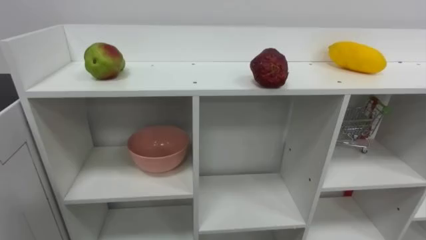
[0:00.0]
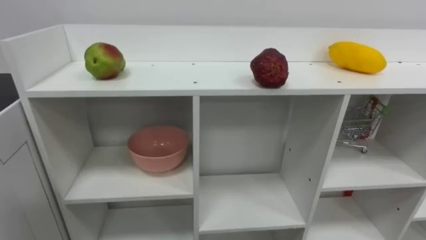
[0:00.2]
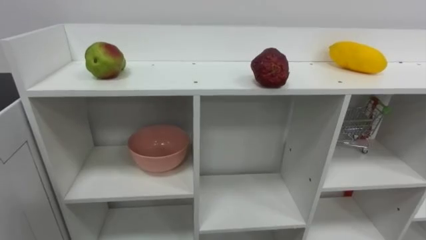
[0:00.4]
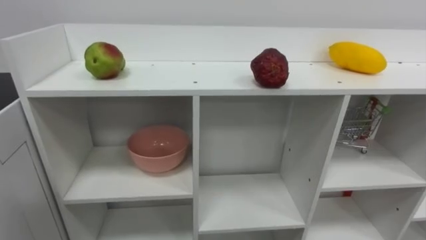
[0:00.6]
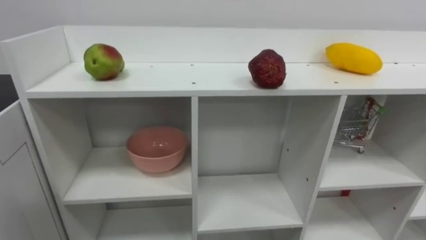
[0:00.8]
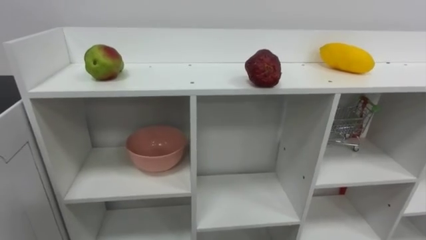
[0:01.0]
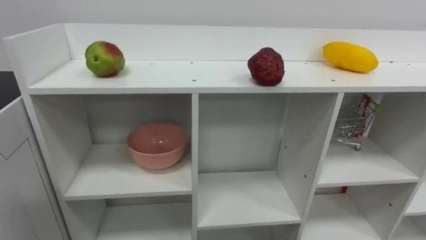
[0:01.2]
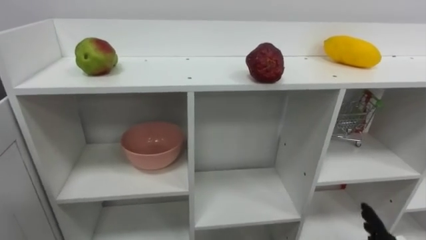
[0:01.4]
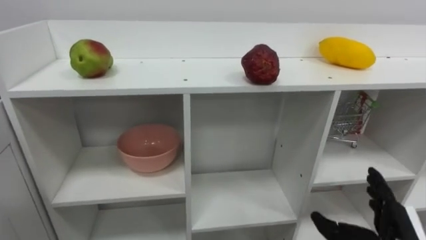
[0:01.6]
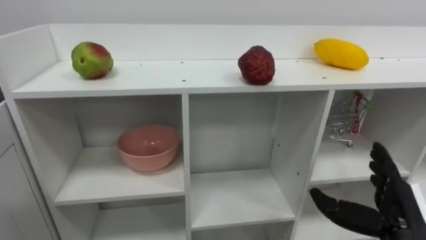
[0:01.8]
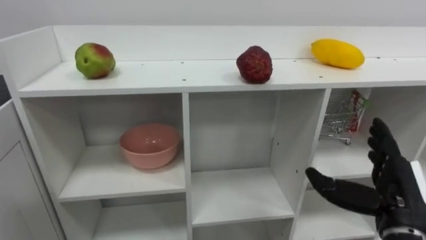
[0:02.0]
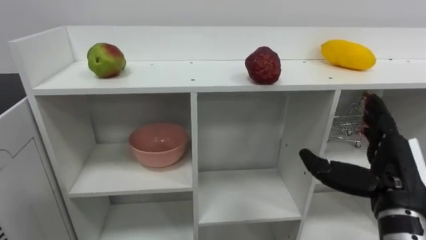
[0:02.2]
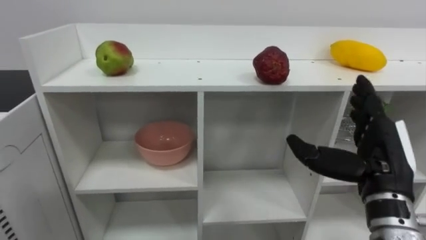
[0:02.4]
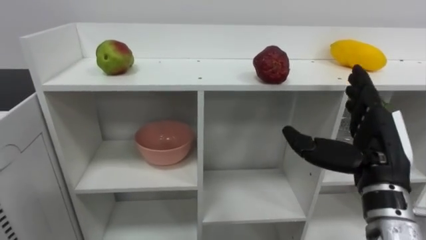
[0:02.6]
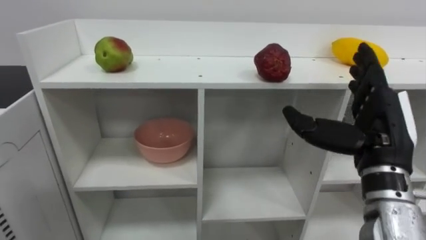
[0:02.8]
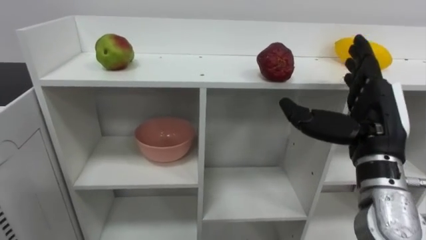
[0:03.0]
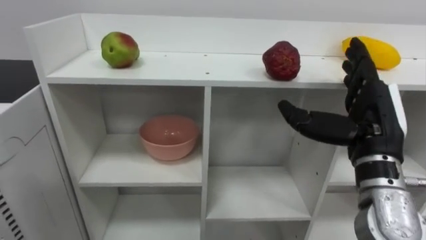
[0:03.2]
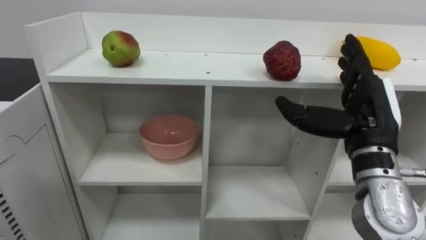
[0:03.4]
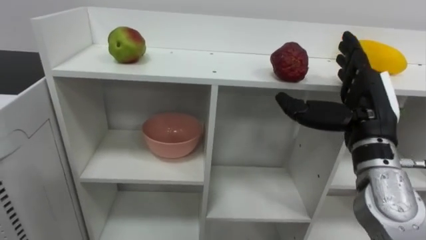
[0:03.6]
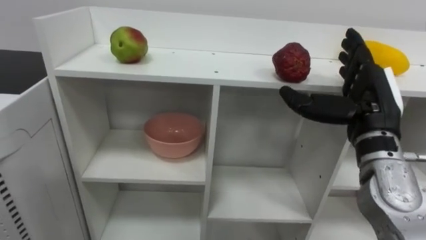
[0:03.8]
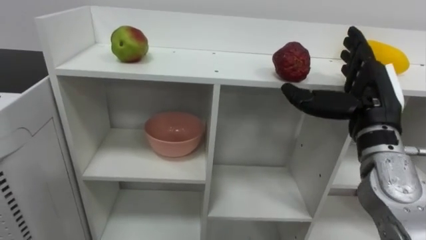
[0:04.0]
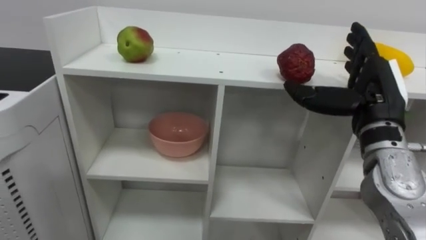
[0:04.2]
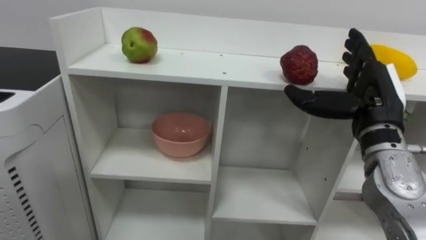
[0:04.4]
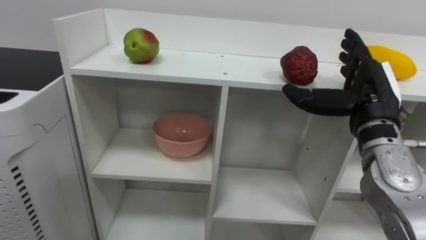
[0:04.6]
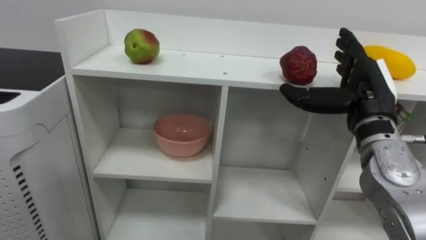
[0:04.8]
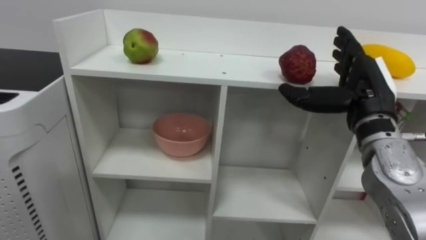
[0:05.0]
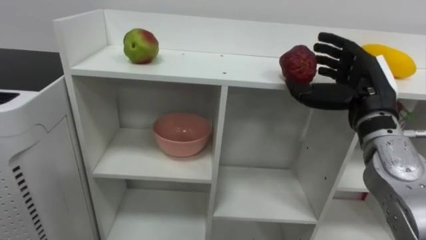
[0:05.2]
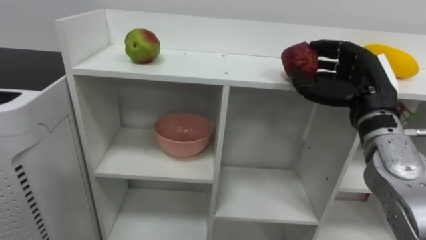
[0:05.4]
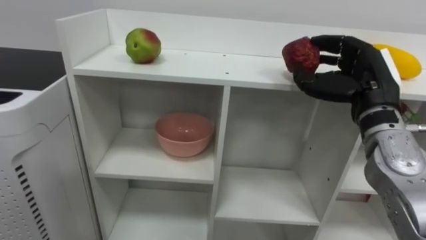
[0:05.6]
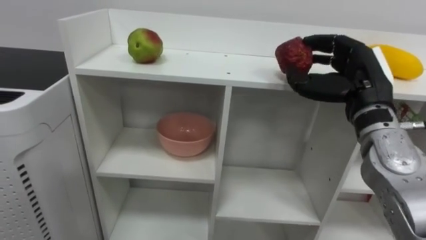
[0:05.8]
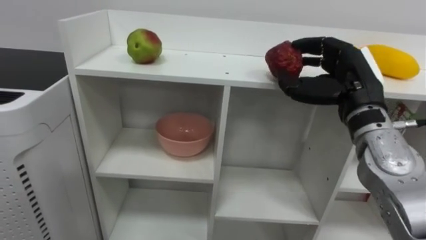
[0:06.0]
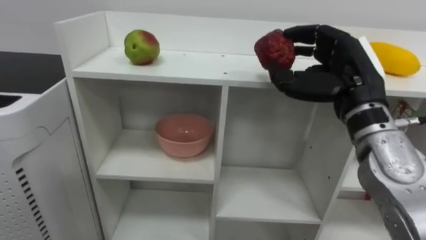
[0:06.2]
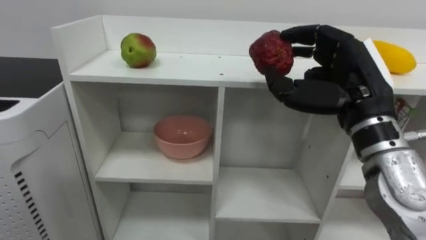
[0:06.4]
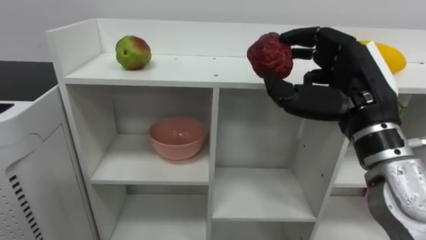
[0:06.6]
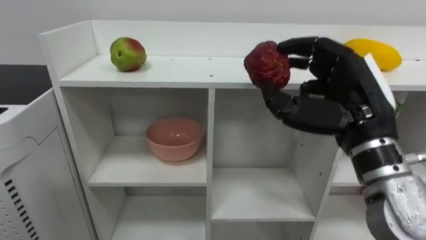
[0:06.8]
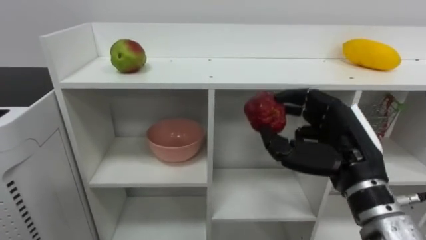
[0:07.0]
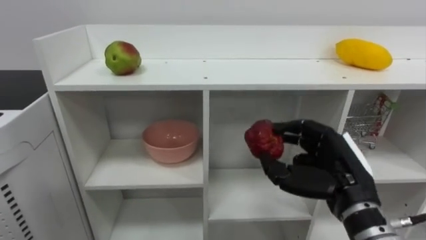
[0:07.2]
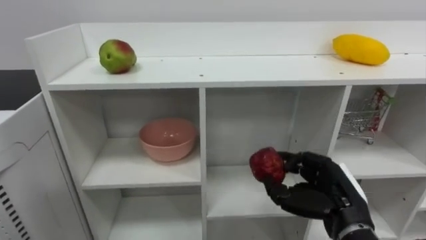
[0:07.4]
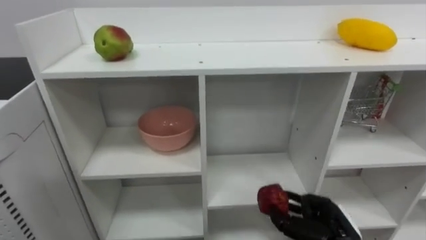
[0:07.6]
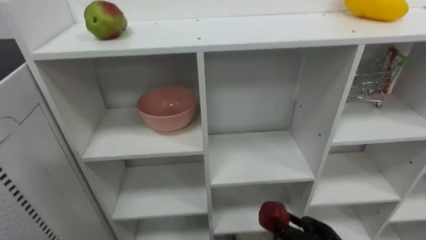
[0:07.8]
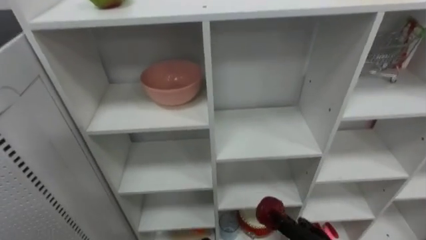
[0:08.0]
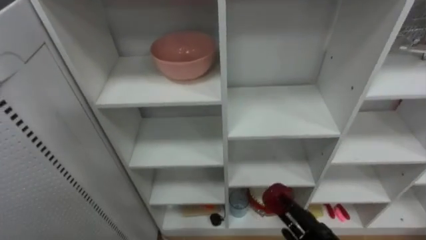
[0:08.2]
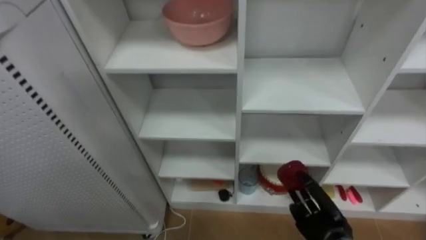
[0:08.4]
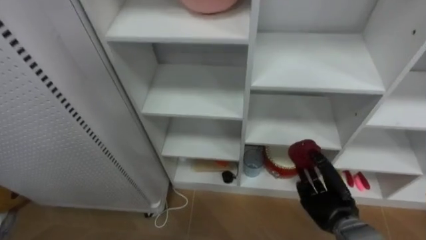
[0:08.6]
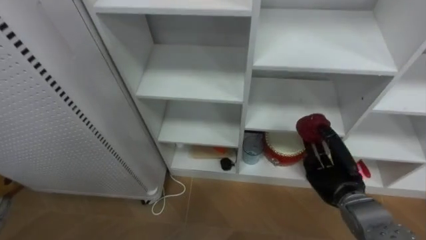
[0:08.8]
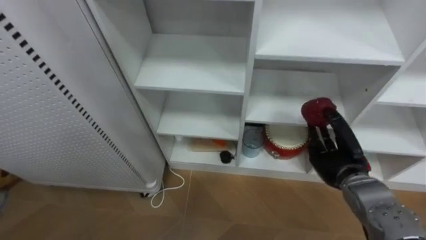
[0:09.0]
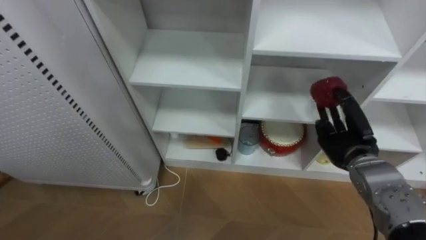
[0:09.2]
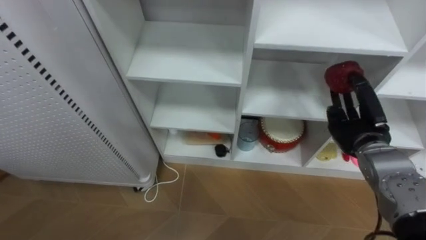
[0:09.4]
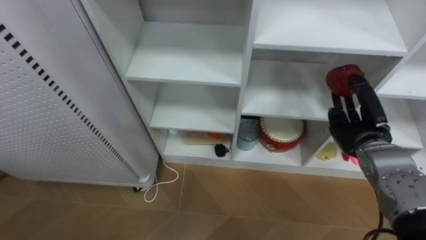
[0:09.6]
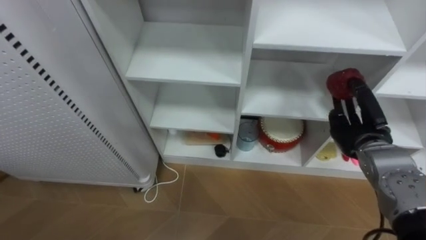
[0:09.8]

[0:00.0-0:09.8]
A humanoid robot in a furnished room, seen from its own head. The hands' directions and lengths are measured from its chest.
Task of the whole recording: Put the apple in the cell in the second column from the left and the second row from the top.
0:02.8 to 0:04.2: The right hand shifts by roughly 5 cm.
0:04.2 to 0:05.6: The right hand closes up.
0:05.6 to 0:07.0: The right hand goes about 10 cm backward and downward.
0:08.4 to 0:09.8: The right hand goes some 20 cm upward and forward.

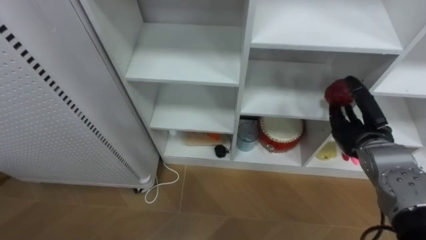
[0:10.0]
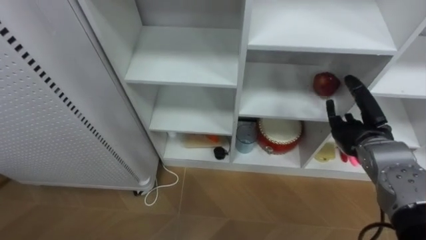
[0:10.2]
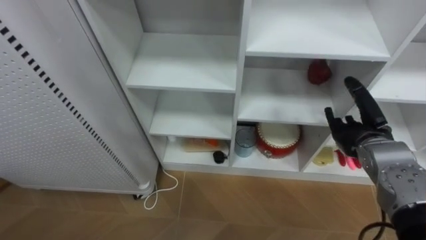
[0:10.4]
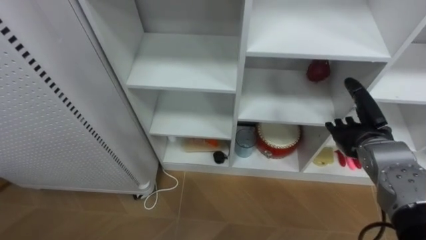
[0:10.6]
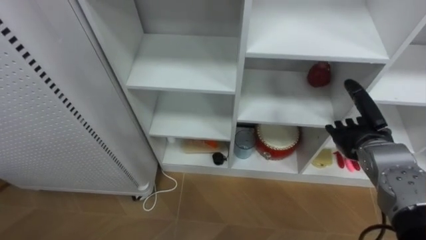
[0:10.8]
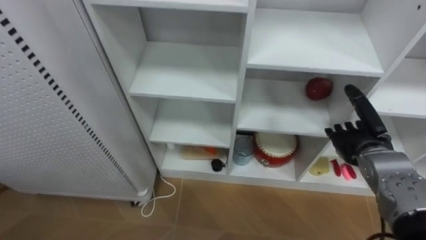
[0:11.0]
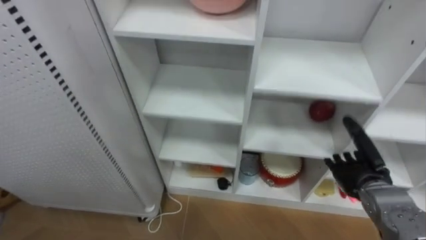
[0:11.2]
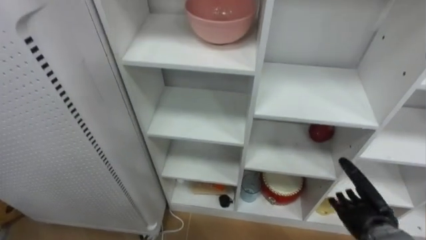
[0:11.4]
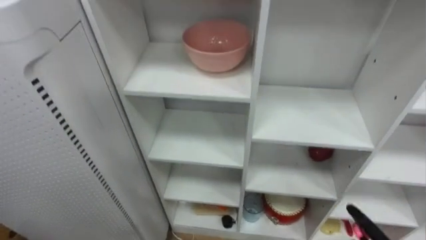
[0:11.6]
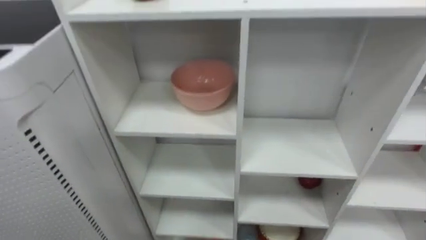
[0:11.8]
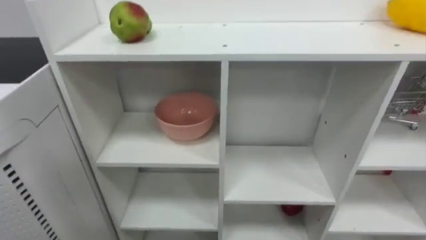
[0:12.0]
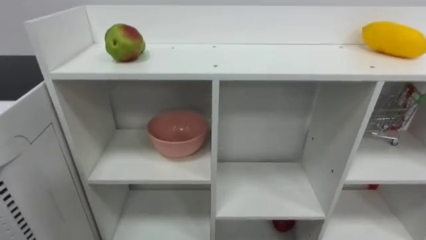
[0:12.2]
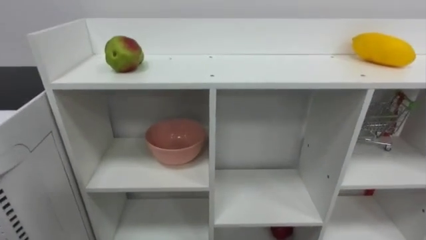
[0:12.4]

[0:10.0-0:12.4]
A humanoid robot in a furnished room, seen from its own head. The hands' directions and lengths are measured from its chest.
Task of the whole recording: Put the apple in the cell in the second column from the left and the second row from the top.
0:10.0 to 0:11.2: The right hand shifts about 5 cm downward, and opens.

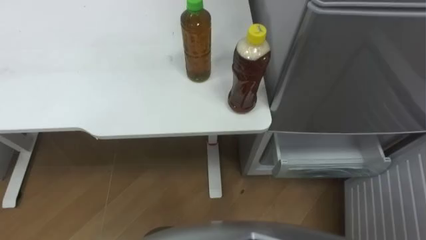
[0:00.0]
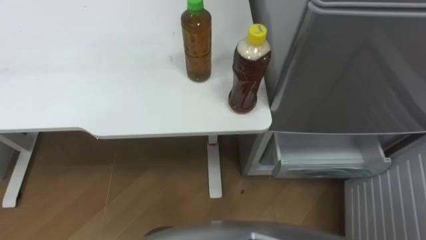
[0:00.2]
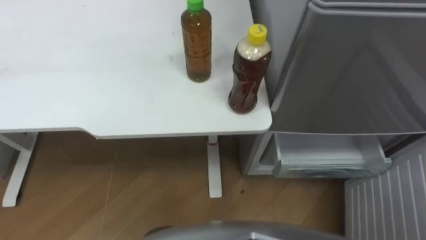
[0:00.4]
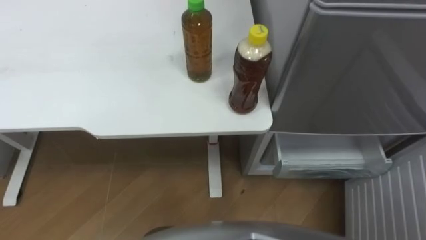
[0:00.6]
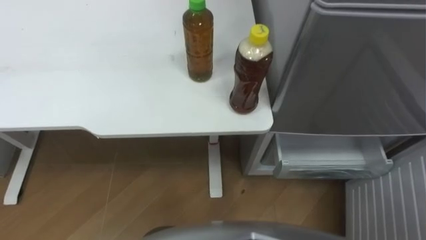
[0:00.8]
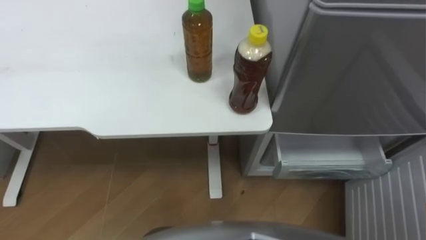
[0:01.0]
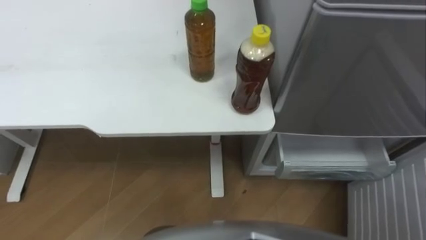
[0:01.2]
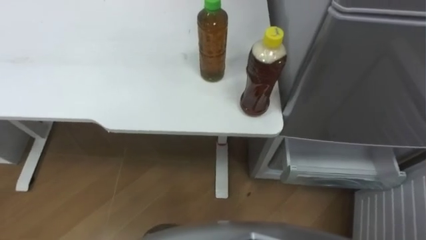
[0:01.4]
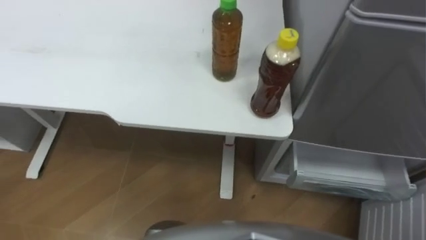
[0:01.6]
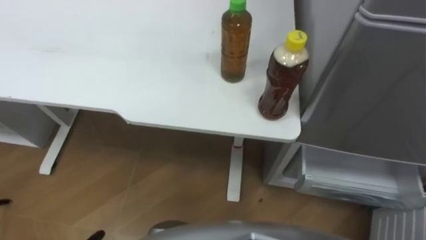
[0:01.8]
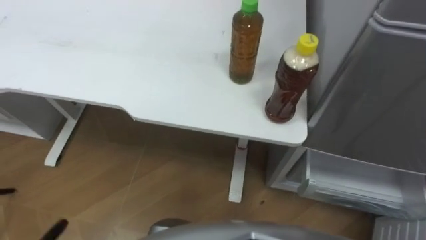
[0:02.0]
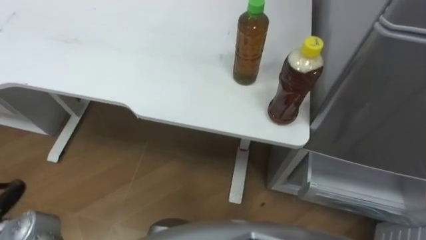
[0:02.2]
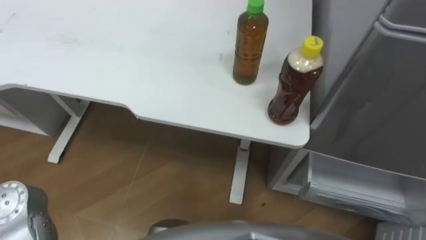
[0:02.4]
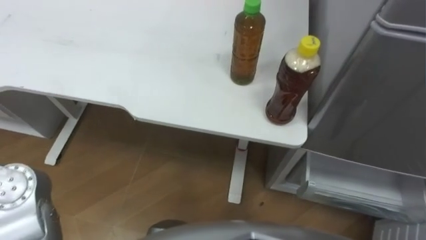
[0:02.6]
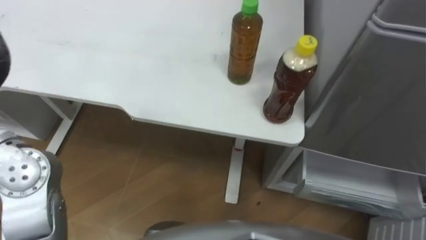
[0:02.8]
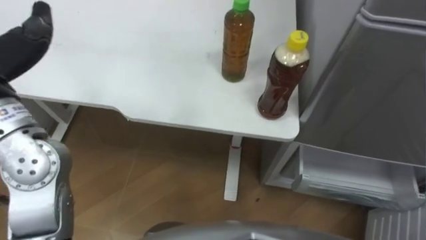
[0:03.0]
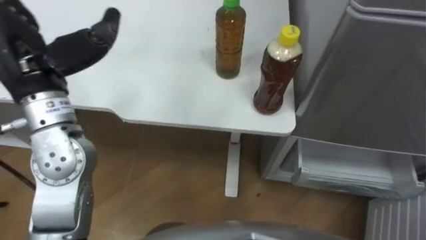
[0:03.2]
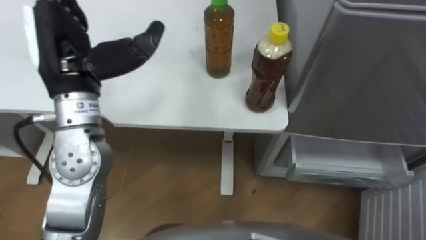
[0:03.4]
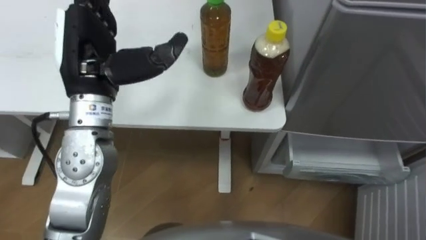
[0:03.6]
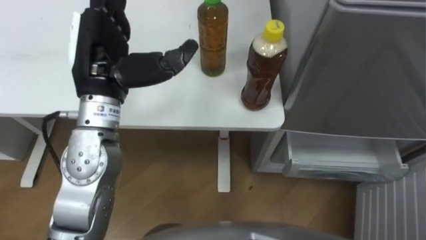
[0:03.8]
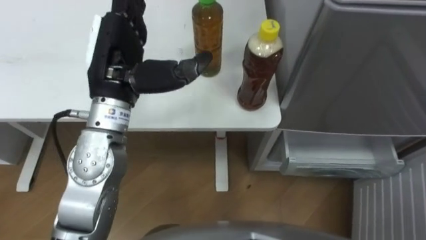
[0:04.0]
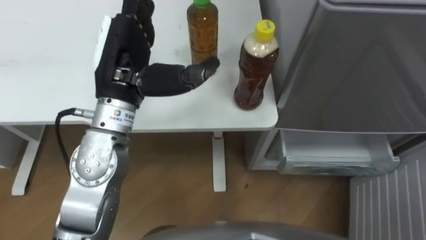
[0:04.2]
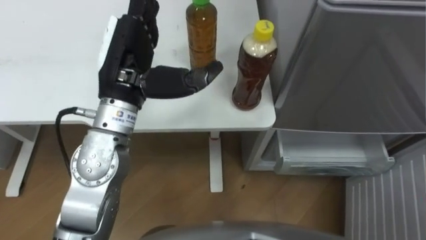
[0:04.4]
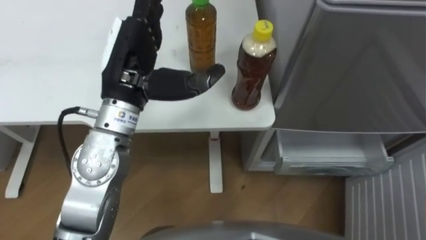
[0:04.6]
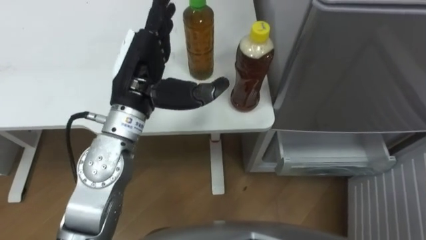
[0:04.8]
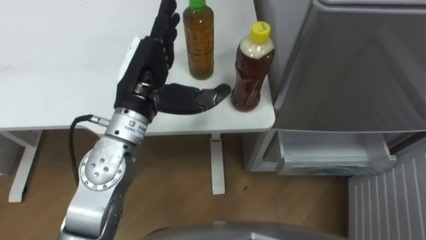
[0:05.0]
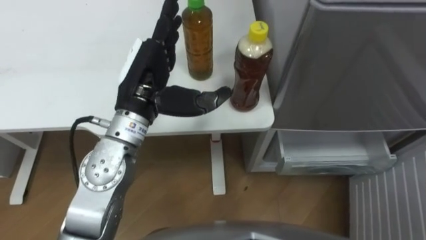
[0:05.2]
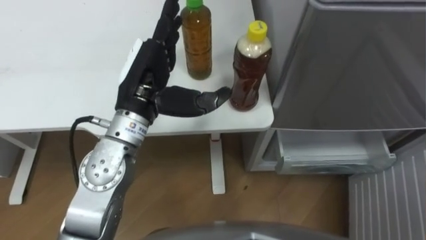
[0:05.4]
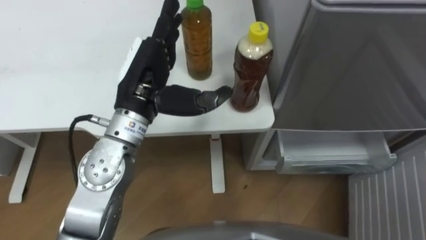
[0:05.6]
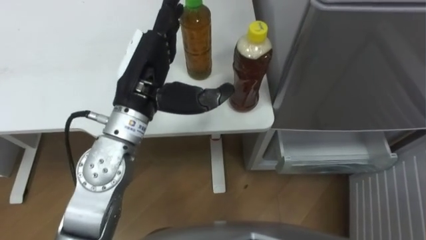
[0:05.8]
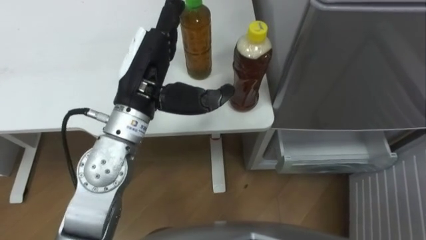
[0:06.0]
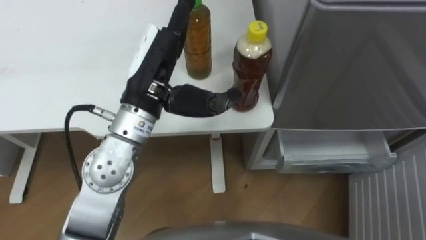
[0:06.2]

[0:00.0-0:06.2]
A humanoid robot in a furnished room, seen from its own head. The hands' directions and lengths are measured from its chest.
Task of the whole recording: Place the drink on the table on the bottom shelf of the refrigerator, then close the drawer and the refrigerator door.
0:03.2 to 0:04.6: The left hand travels to the right by approximately 10 cm.
